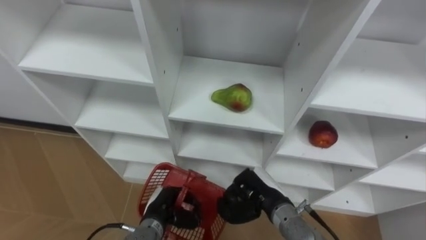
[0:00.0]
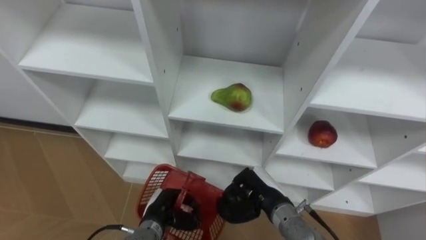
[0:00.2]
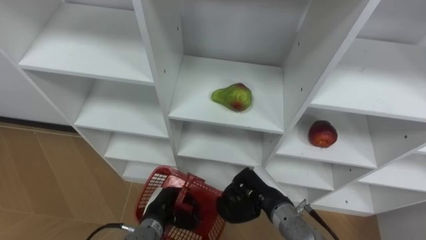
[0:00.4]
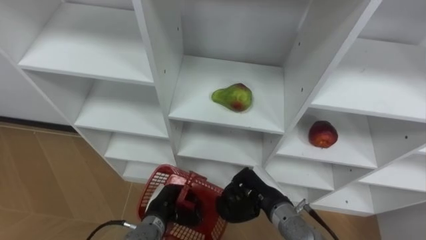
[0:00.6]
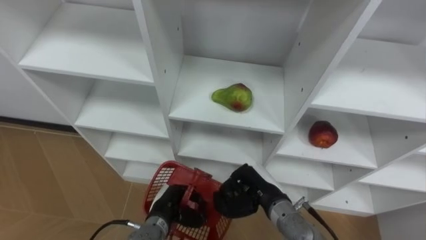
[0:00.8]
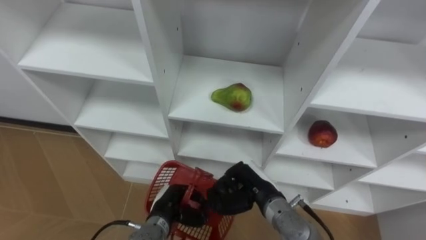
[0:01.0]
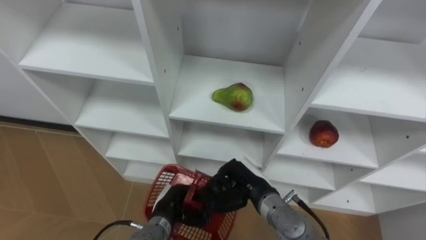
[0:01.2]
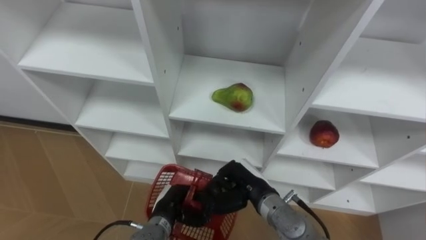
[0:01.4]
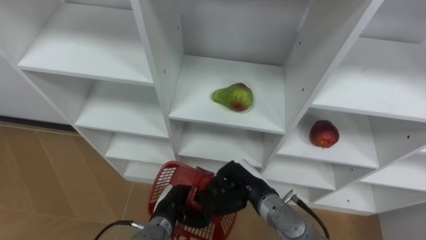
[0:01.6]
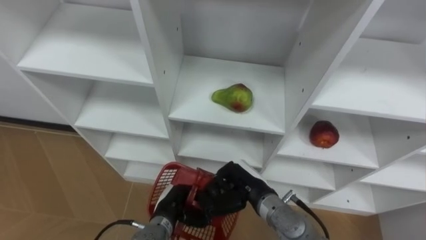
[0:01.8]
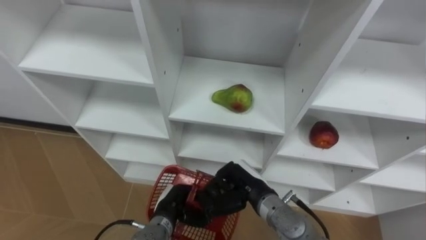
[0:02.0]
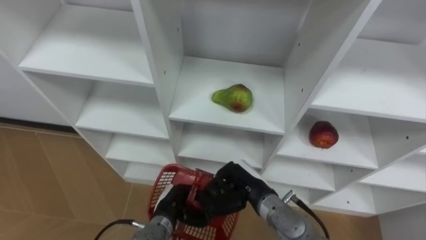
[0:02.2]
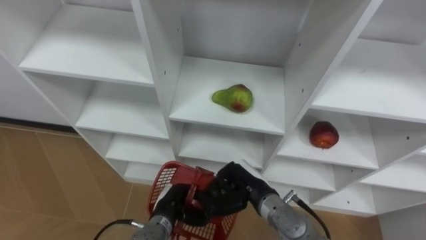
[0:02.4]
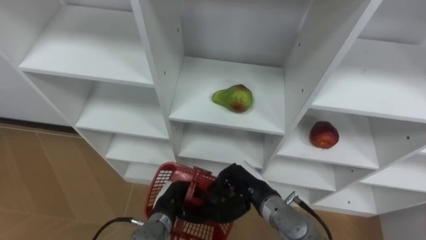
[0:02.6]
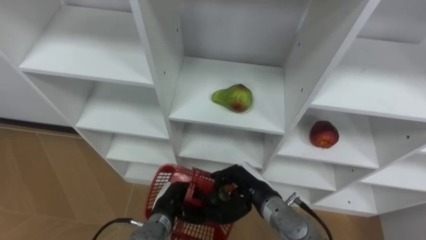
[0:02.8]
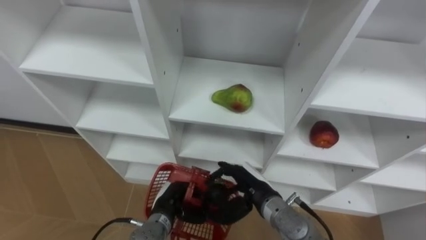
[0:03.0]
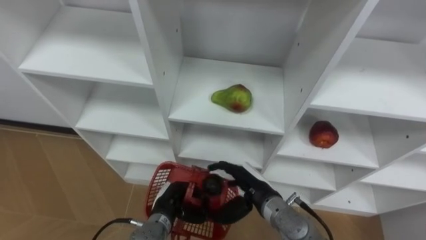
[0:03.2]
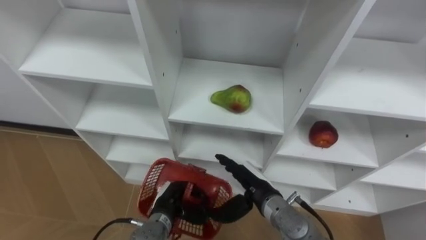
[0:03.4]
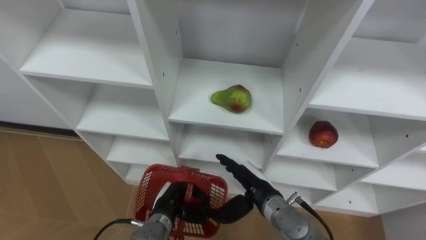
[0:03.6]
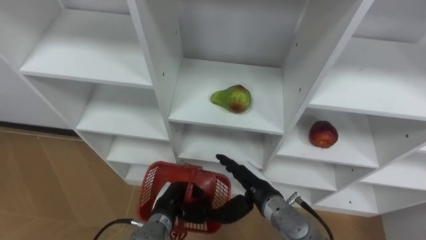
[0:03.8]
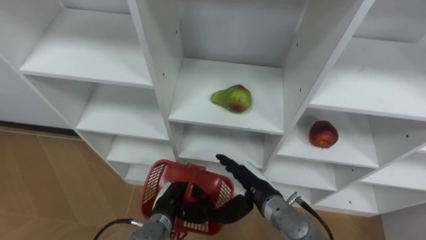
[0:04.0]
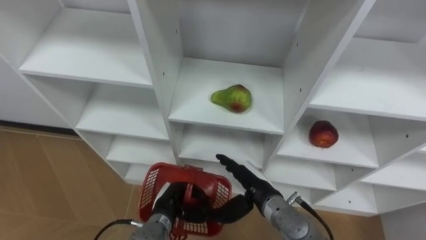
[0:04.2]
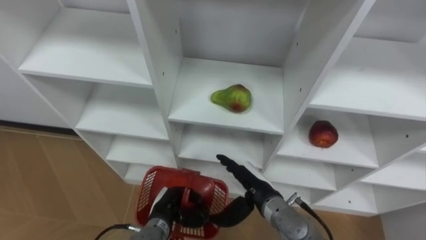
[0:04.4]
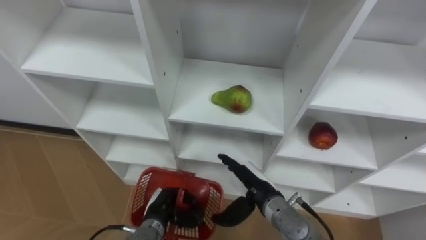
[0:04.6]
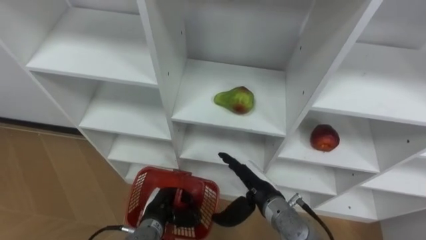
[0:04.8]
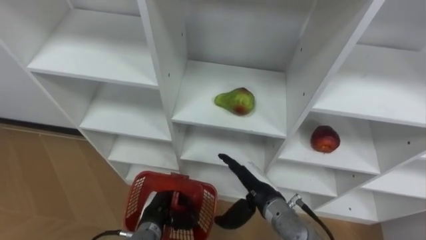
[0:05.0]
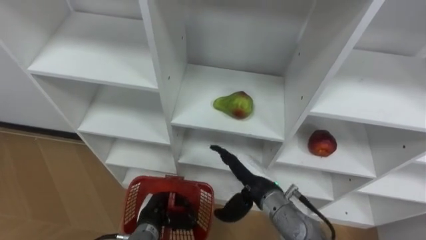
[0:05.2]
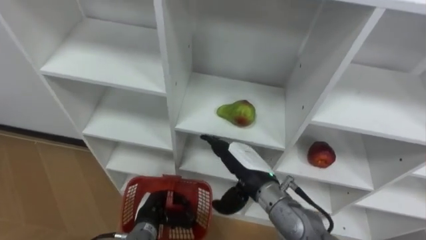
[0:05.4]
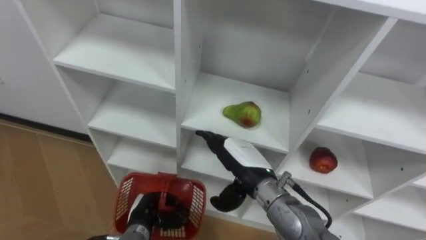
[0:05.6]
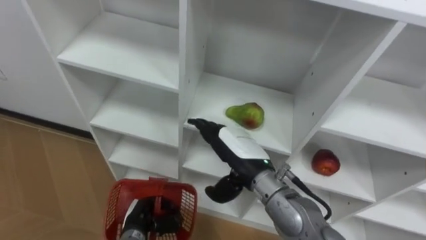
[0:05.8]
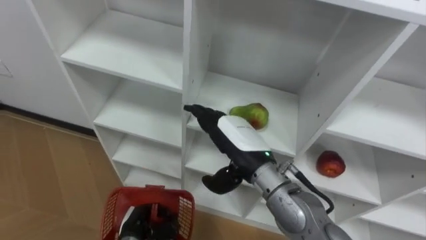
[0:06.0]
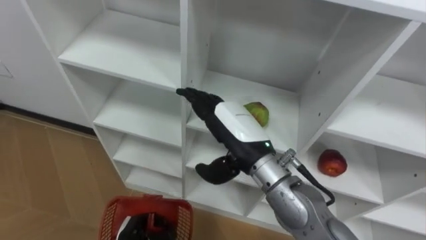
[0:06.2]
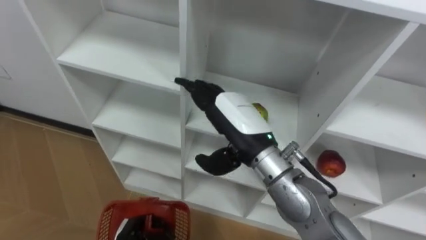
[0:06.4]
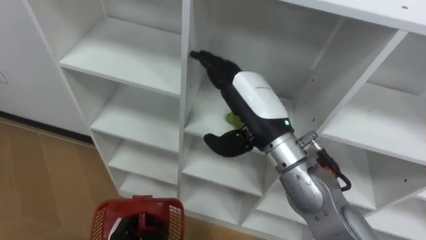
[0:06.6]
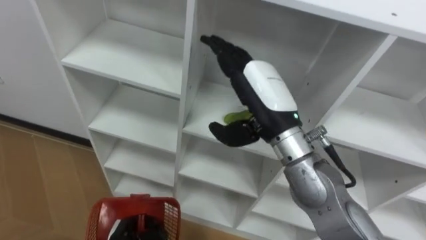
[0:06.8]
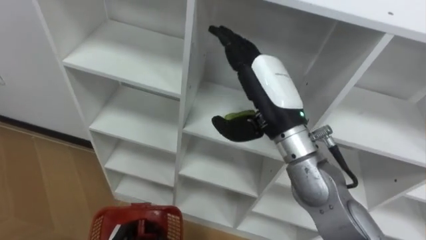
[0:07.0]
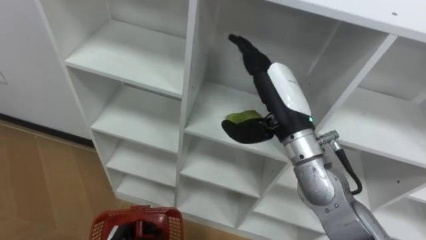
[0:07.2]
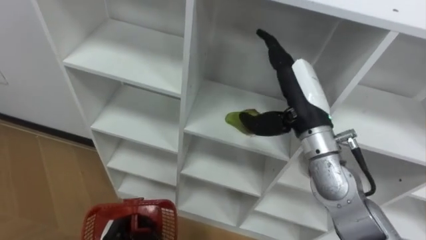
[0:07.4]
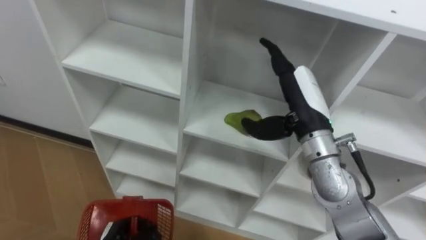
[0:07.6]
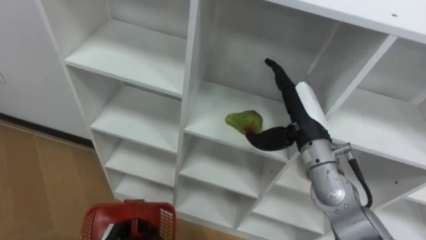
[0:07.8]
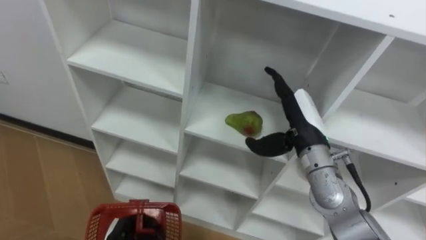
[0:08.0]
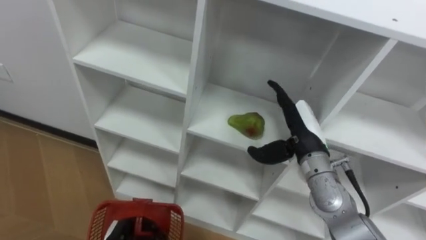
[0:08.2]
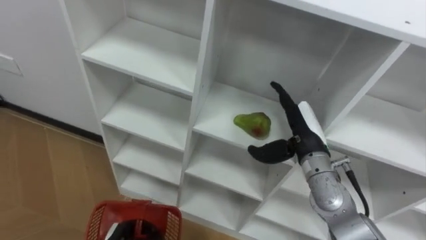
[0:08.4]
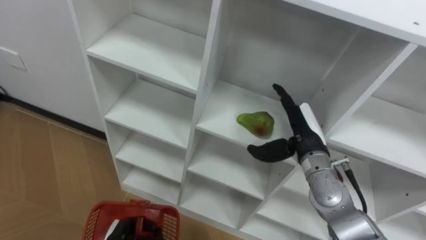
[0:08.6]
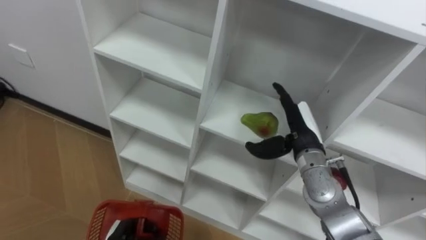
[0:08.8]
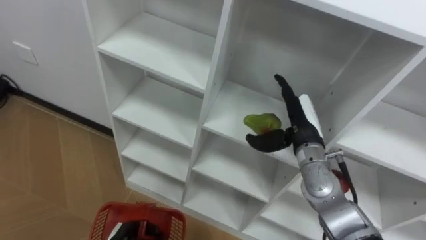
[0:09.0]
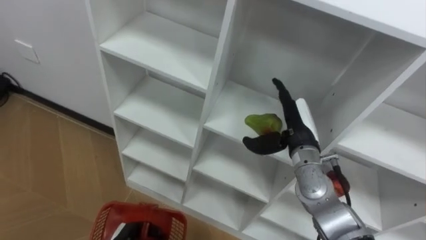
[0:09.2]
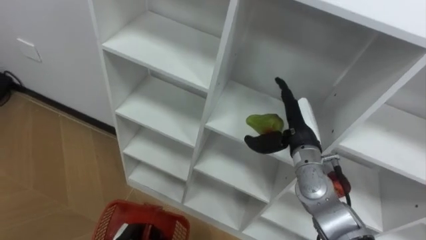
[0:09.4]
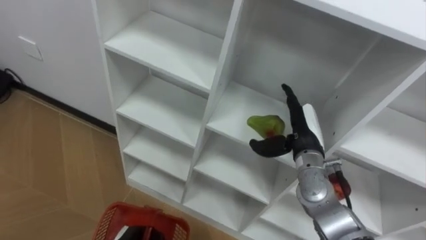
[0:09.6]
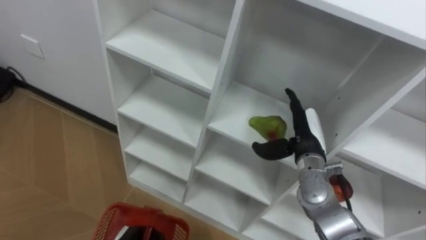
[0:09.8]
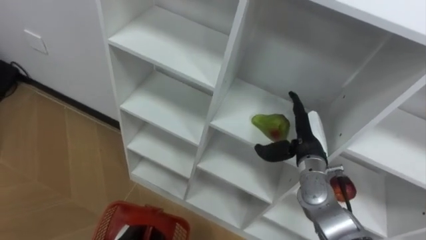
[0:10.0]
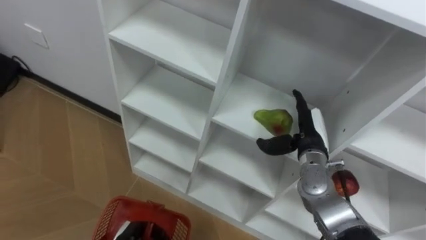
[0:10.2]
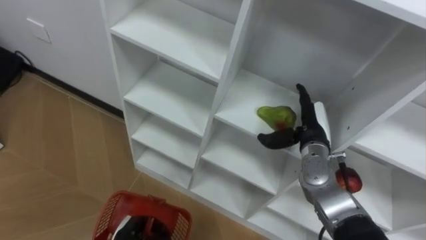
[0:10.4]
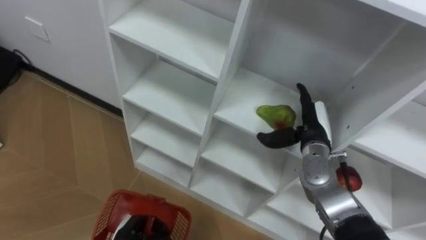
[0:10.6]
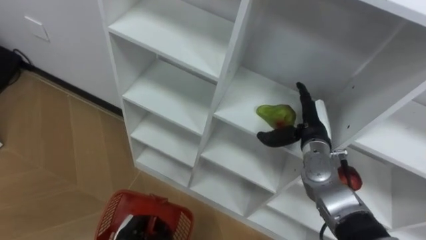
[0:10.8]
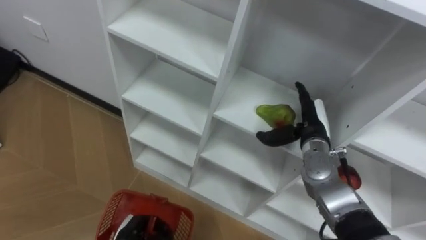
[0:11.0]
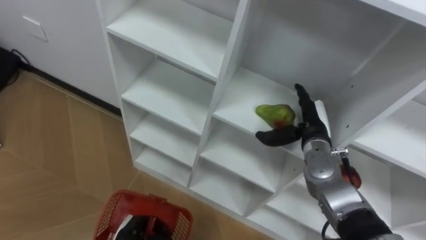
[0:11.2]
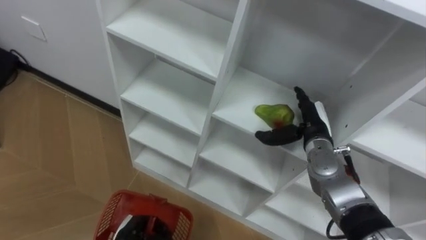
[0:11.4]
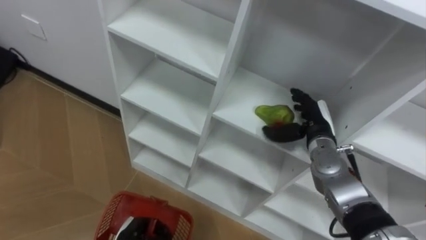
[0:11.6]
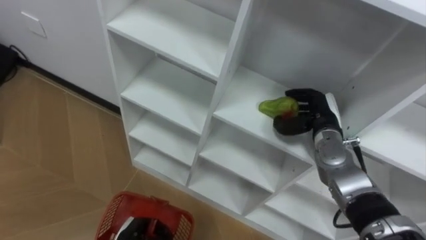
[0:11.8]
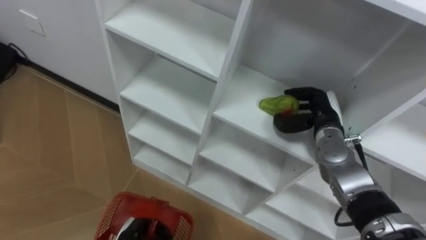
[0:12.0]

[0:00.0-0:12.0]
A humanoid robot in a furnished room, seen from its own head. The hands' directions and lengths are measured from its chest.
Task of the whole recording: Hold the basket and collect the fruits from 3 different cells of the closet into it.
0.0 to 1.6 s: The hands make only small movements.
1.6 to 3.0 s: The right hand opens its fingers.
3.0 to 4.4 s: Neither hand changes place.
4.4 to 6.0 s: The left hand goes approximately 5 cm to the left. The right hand moves upward, about 15 cm.
6.0 to 7.6 s: The right hand heads to the right and upward, covering approximately 10 cm.
7.6 to 9.0 s: The right hand shifts about 10 cm downward.
10.4 to 12.0 s: The right hand closes up.

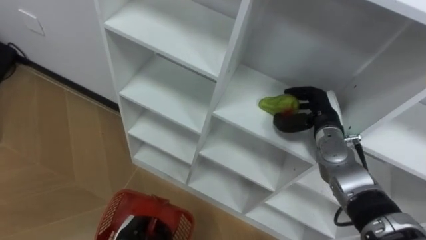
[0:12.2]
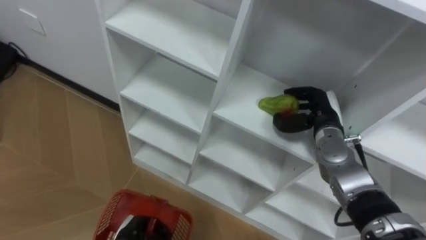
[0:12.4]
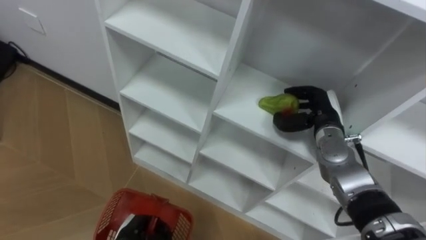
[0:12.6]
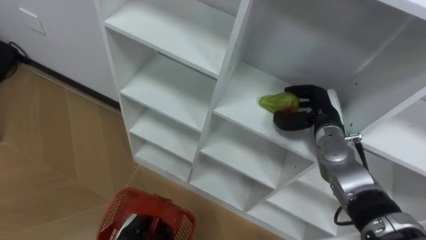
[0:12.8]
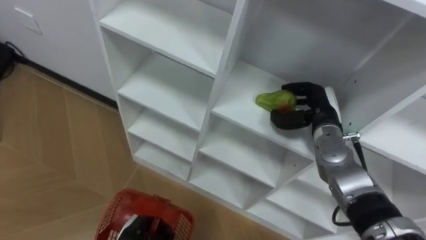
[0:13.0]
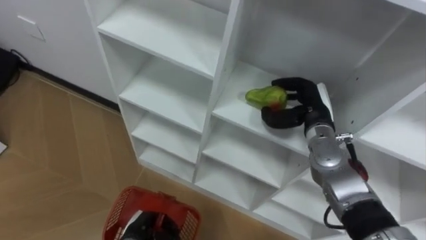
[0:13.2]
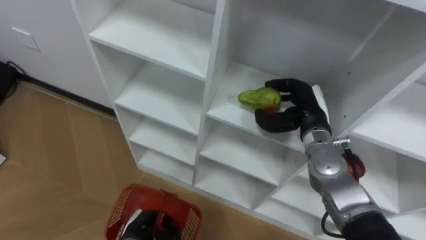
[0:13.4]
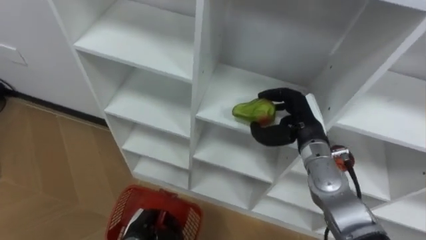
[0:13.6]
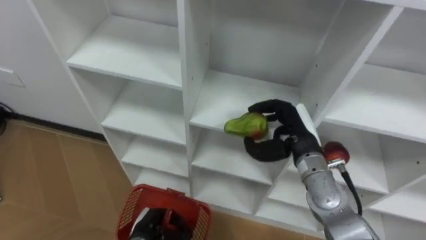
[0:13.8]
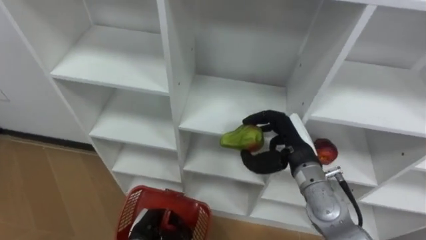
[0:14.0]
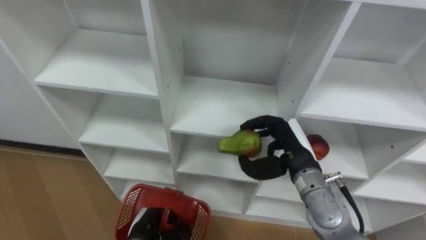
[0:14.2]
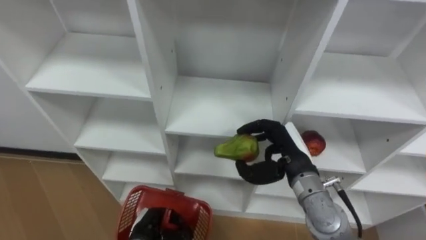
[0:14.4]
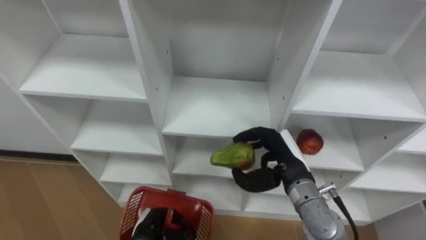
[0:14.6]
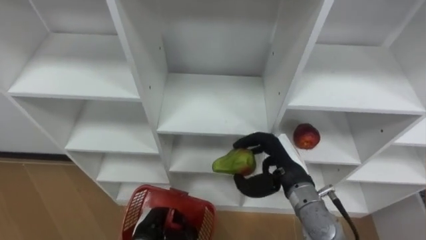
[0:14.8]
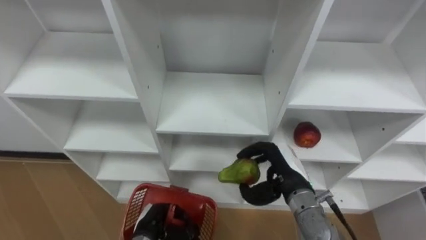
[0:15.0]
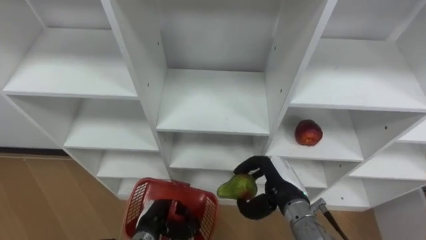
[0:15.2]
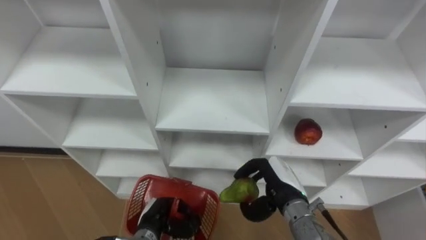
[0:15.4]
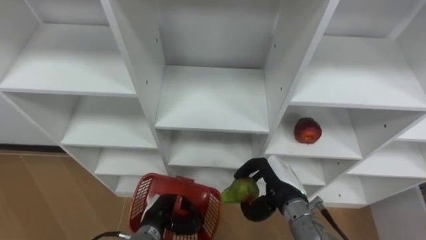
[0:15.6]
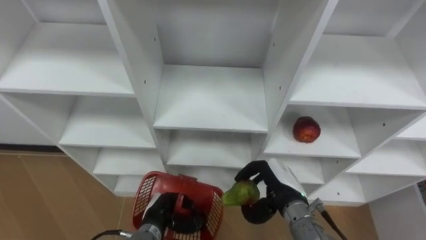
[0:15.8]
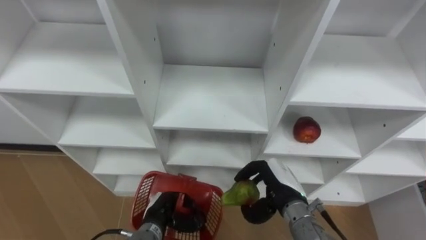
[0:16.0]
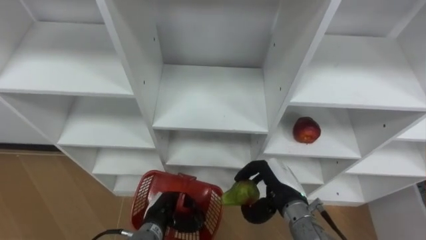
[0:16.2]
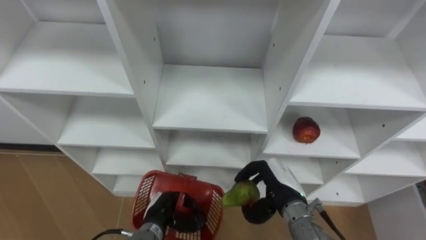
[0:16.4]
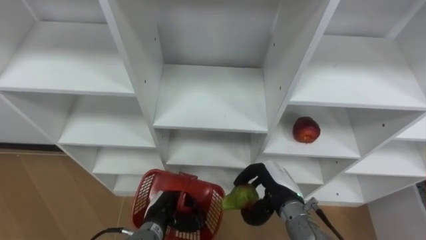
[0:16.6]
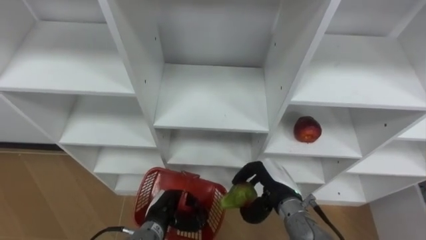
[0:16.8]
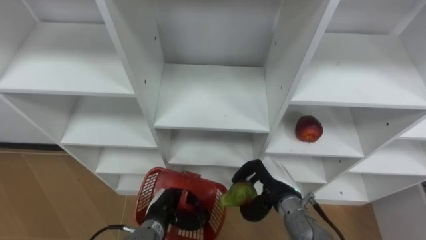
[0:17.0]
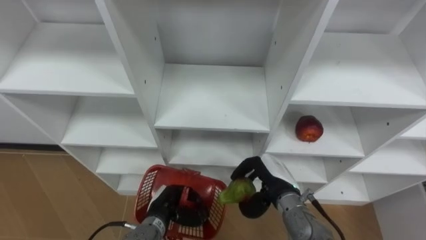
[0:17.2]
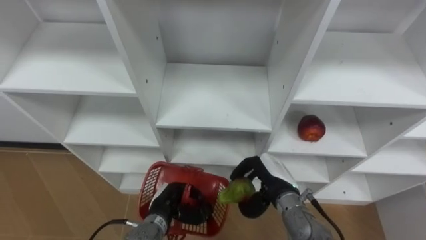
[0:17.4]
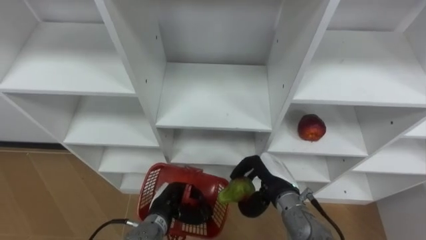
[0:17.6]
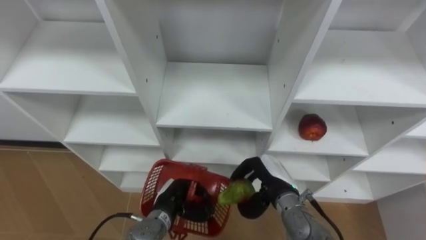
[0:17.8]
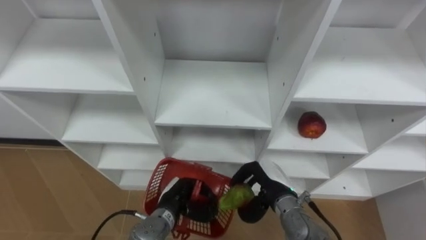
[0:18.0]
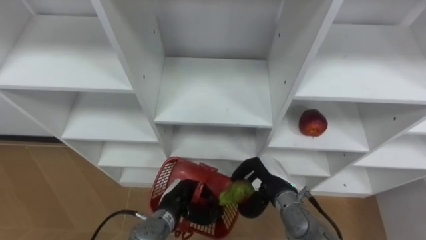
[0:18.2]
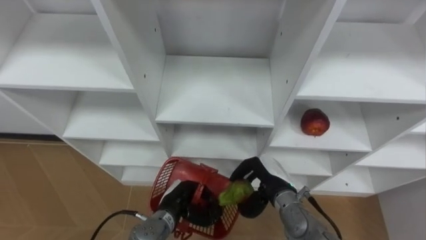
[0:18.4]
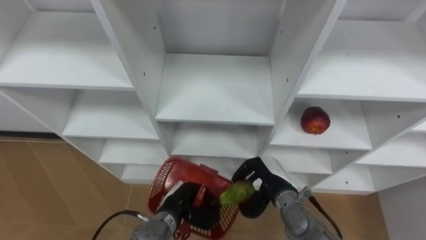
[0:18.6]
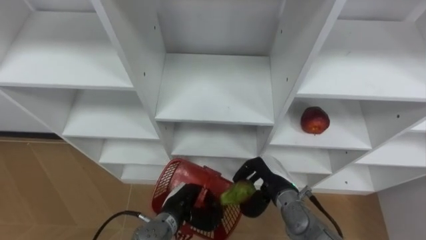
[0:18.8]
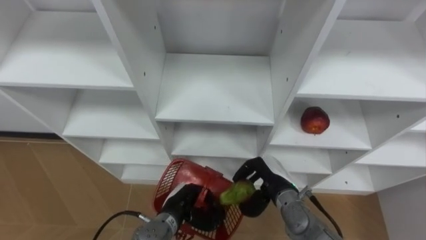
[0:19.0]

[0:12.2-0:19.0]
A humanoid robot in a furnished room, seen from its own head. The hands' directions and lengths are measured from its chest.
Task of the whole recording: Hold the basket and collect the fruits from 3 different cells of the closet into it.
12.2 to 13.6 s: The right hand moves roughly 5 cm.
13.6 to 15.0 s: The right hand heads backward and downward, covering approximately 10 cm.
16.2 to 17.6 s: There are only small adjustments of the hands.
